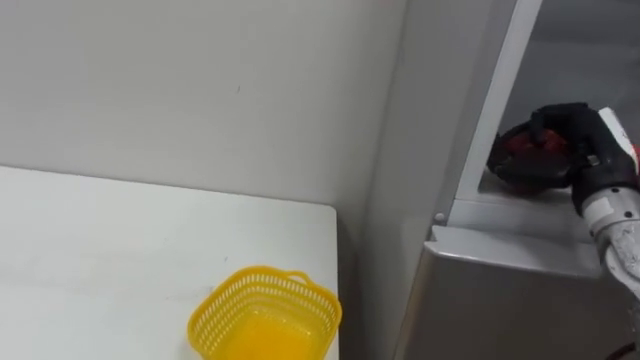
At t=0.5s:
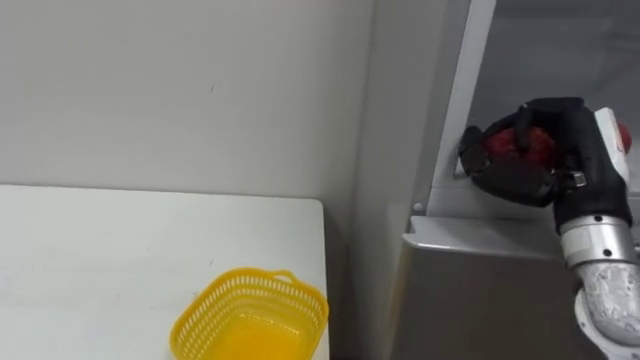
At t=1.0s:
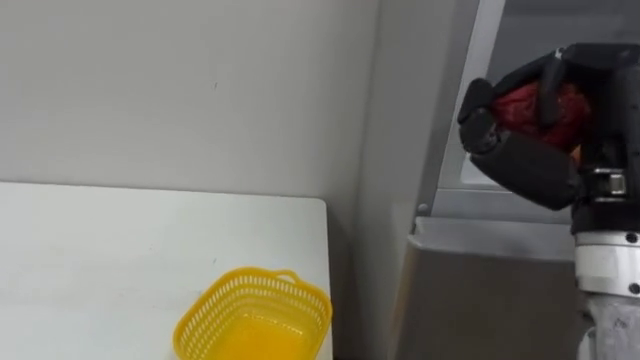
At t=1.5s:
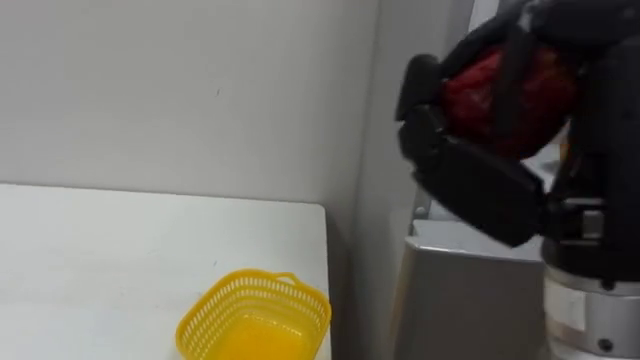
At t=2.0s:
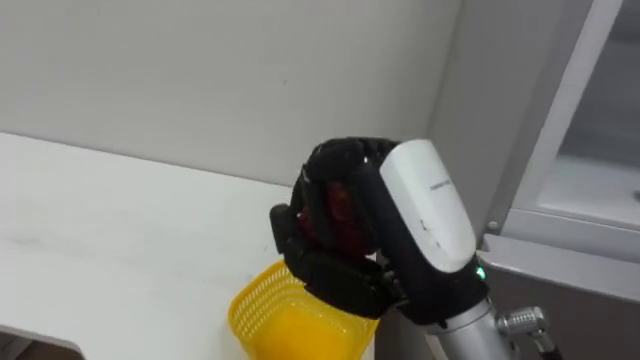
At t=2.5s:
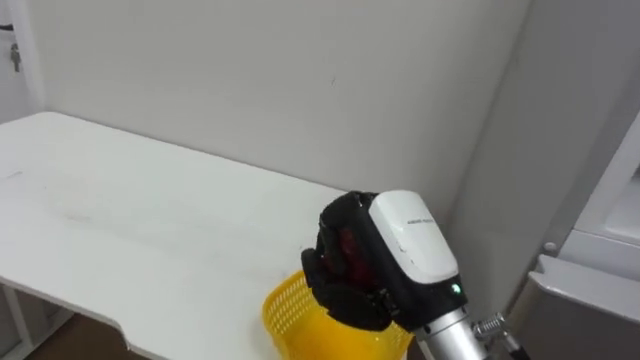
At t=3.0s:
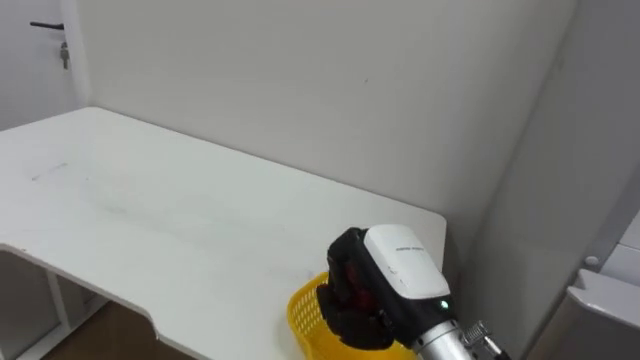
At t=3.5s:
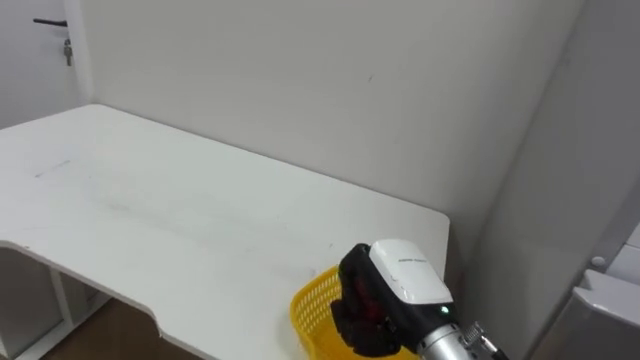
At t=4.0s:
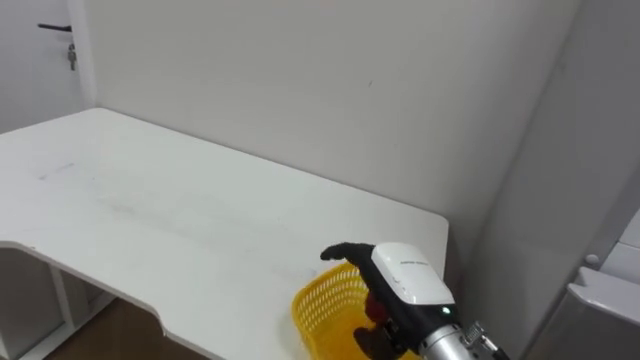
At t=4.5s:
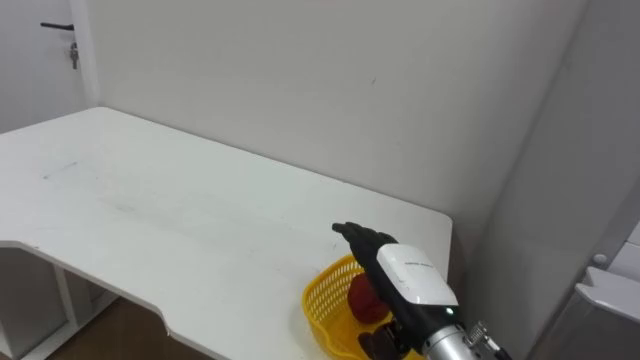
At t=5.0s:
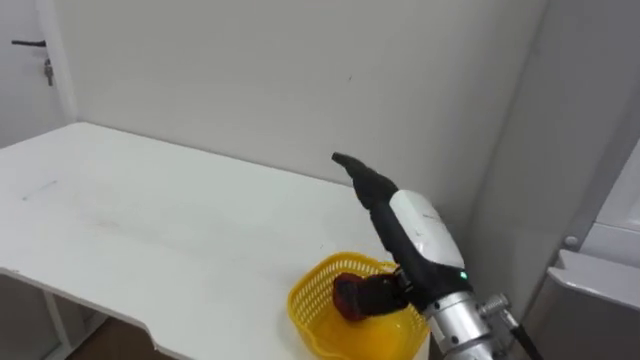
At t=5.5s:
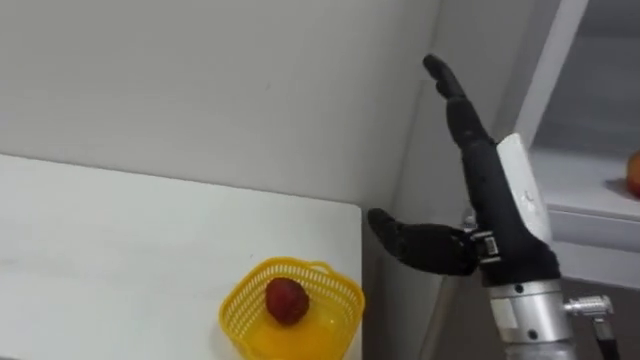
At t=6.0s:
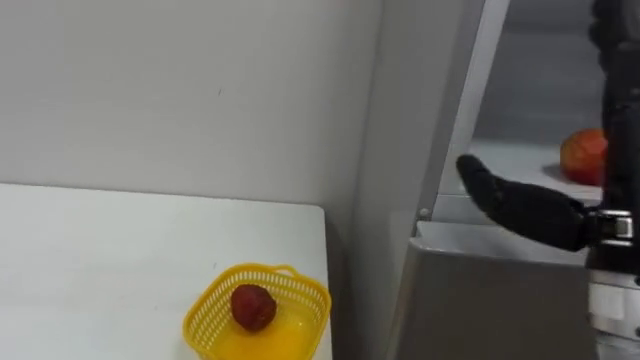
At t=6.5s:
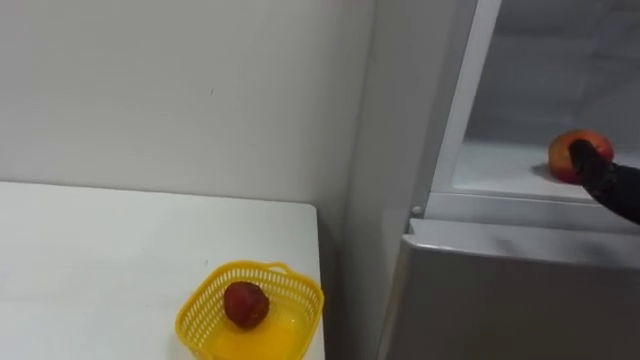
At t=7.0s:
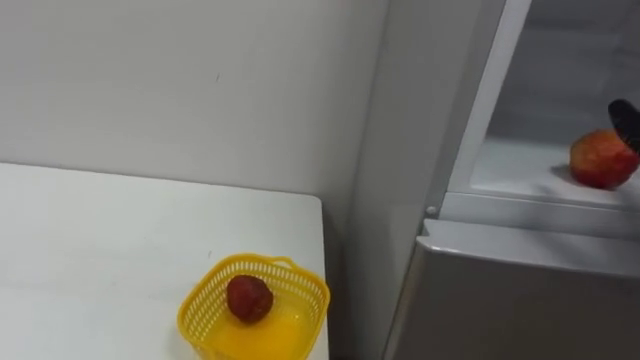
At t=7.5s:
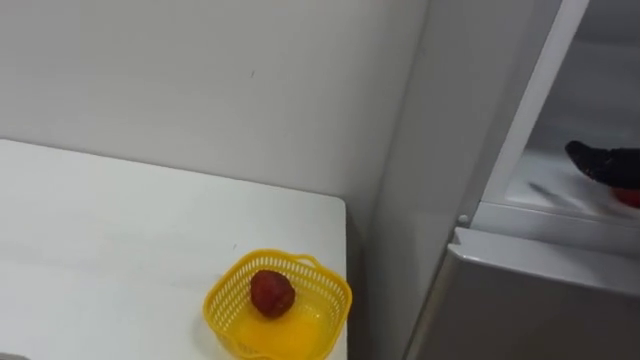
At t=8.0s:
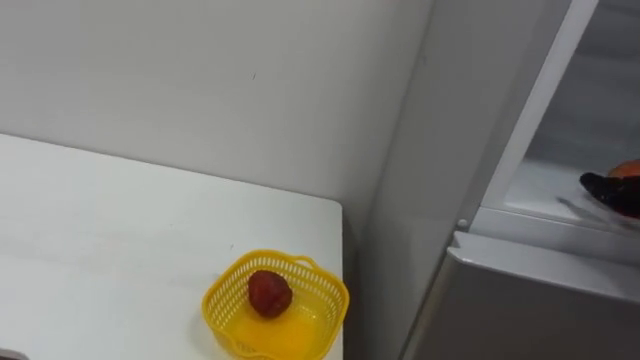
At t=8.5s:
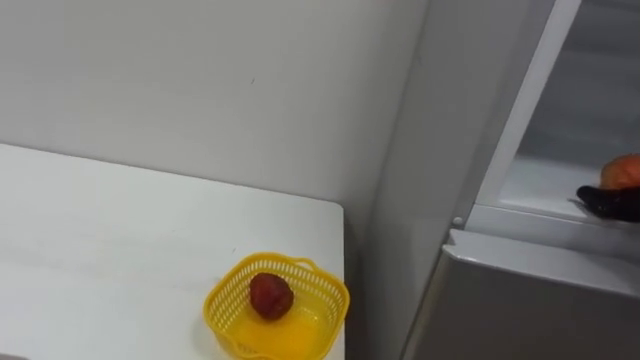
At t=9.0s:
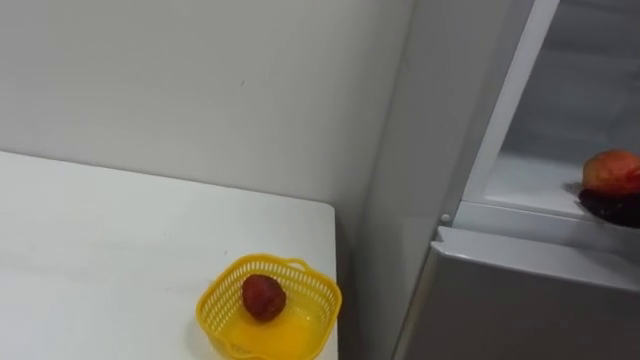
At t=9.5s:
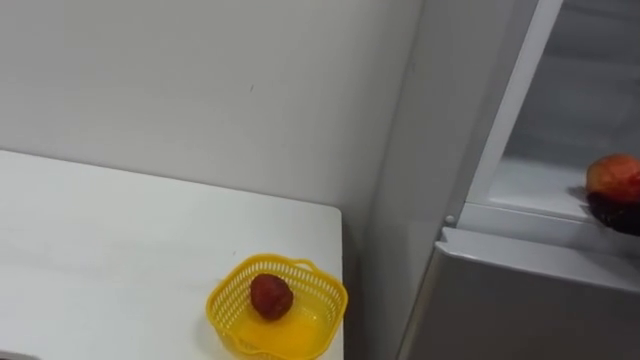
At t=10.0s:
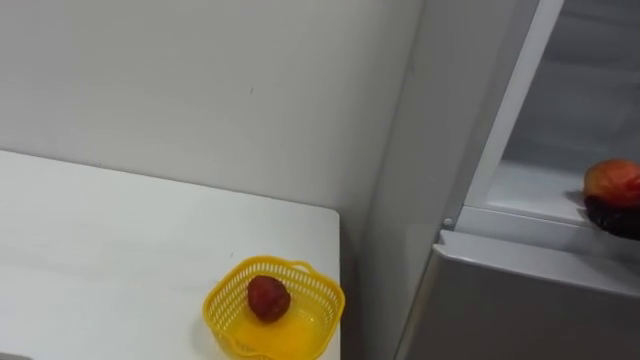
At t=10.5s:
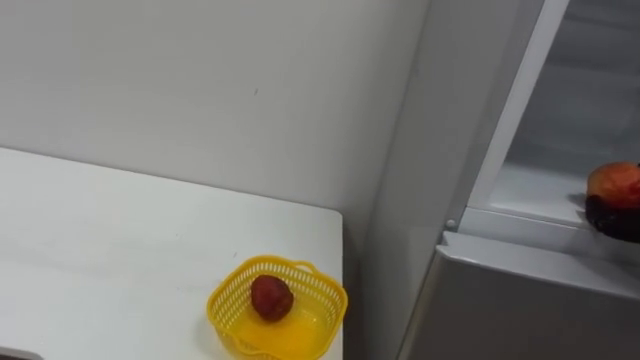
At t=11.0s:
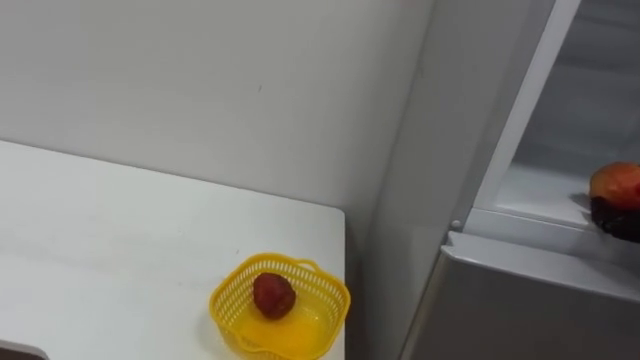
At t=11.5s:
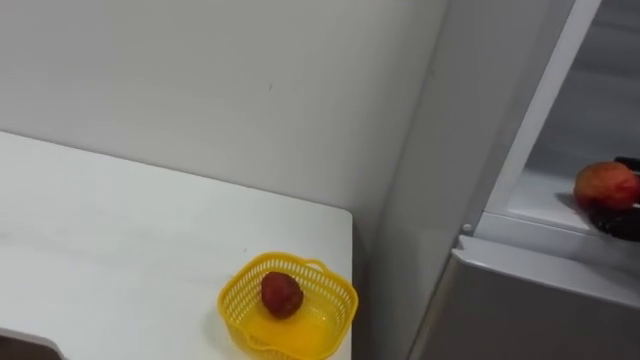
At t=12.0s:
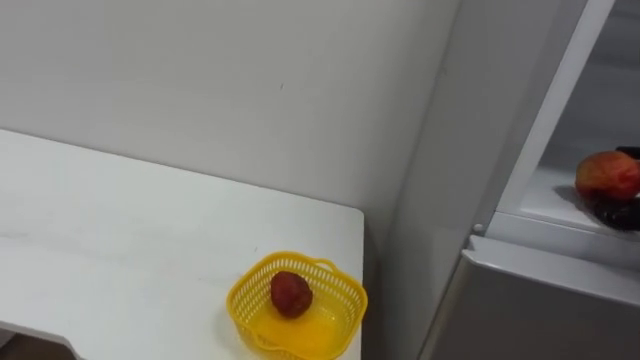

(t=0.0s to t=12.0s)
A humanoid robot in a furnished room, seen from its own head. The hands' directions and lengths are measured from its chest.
Task of the whole recording: Open the refrigerator door, take out the apple and the pomegranate, place them in the fruit basket on the left, and close the refrigerator door.
t=0.0s - t=2.0s: The right hand shifts roughly 25 cm to the left and backward.
t=2.0s - t=4.0s: The right hand travels downward and forward by roughly 20 cm, and opens its fingers.
t=4.0s - t=6.0s: The right hand is displaced upward, to the right and backward by approximately 25 cm.

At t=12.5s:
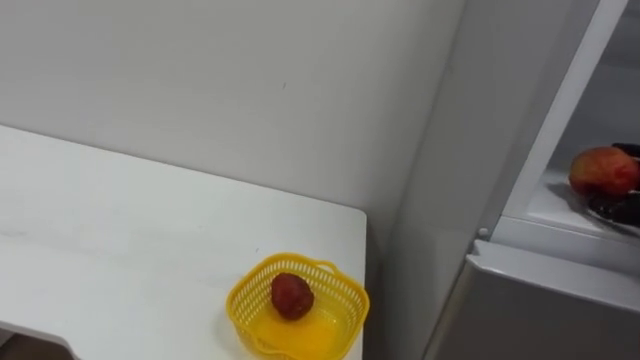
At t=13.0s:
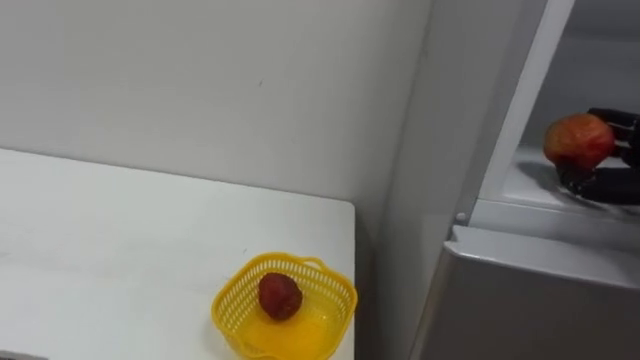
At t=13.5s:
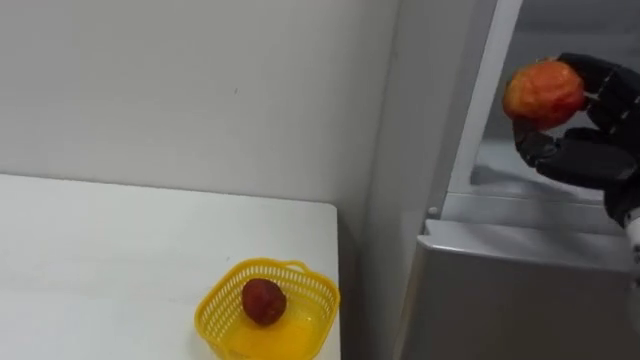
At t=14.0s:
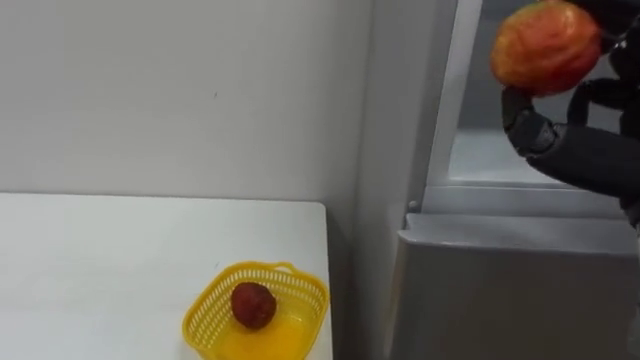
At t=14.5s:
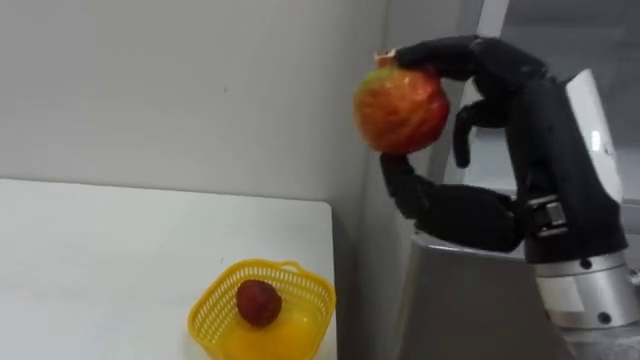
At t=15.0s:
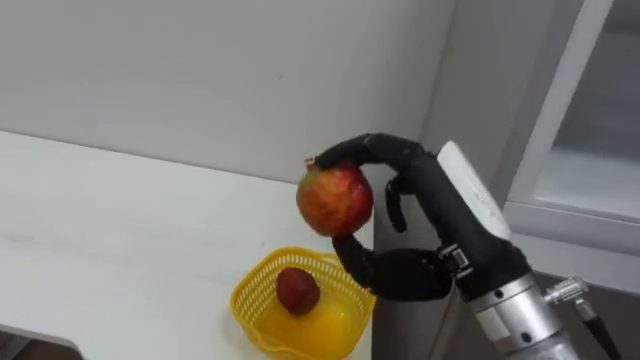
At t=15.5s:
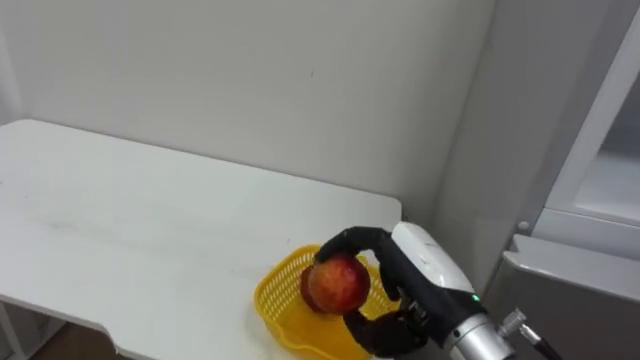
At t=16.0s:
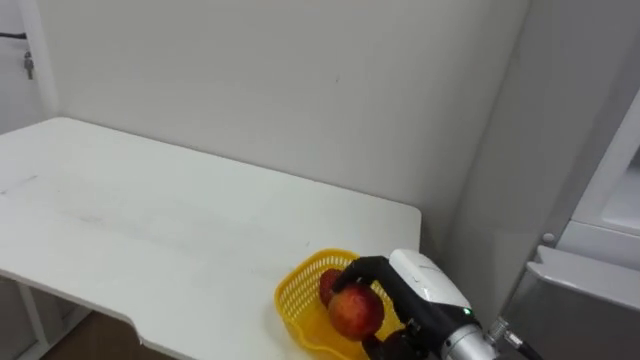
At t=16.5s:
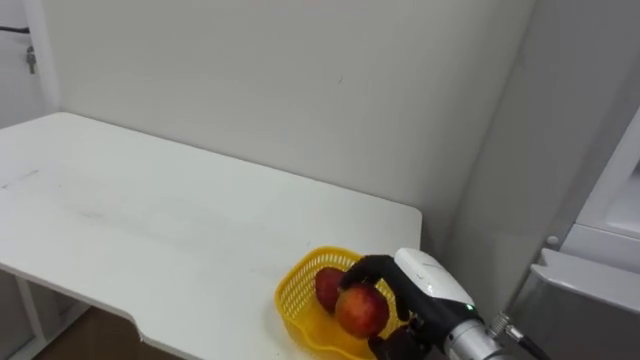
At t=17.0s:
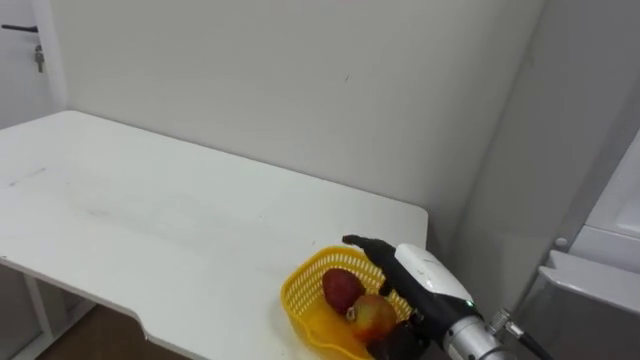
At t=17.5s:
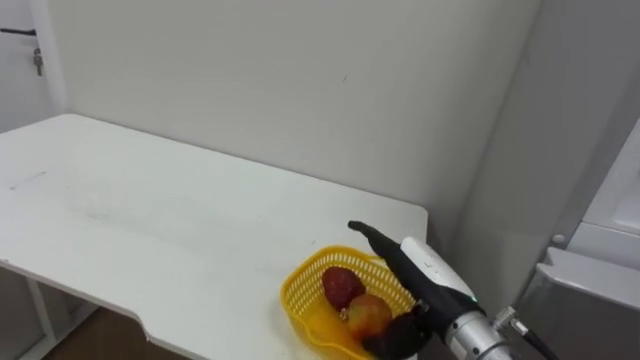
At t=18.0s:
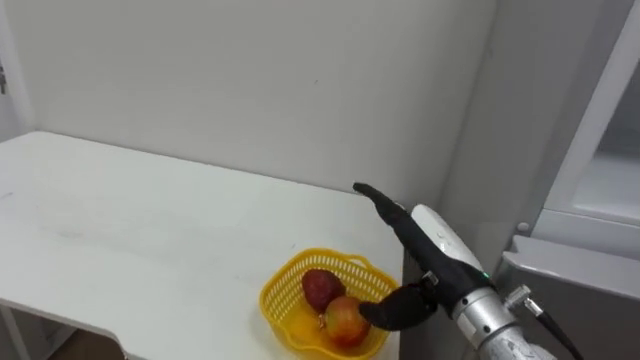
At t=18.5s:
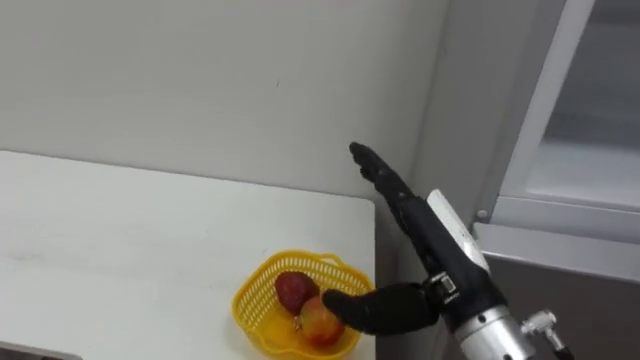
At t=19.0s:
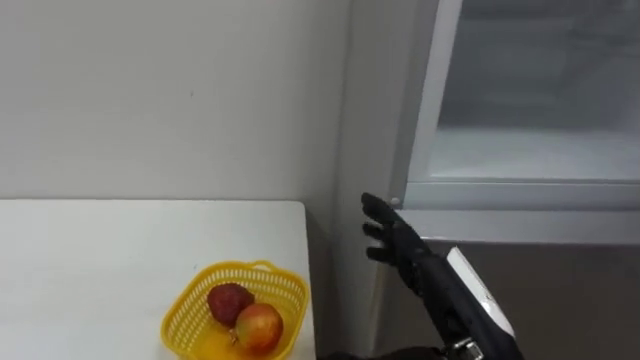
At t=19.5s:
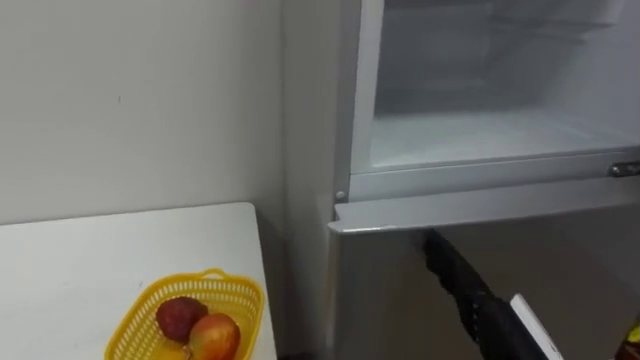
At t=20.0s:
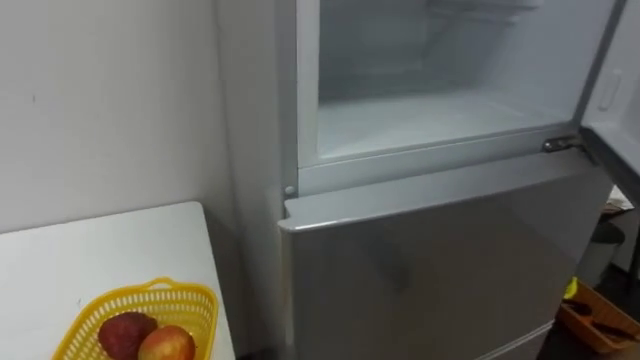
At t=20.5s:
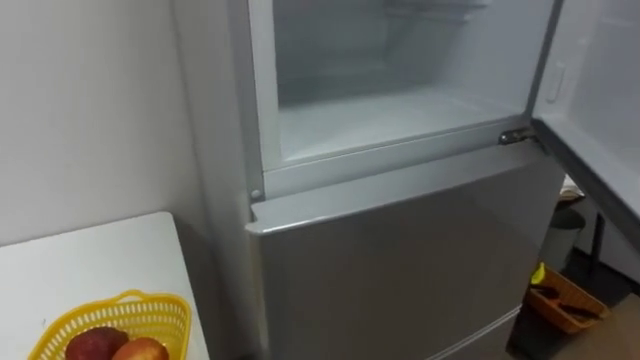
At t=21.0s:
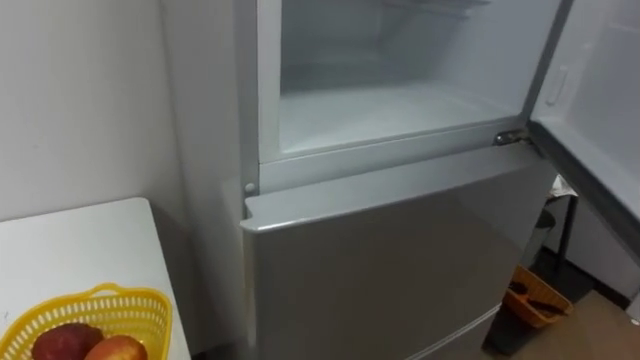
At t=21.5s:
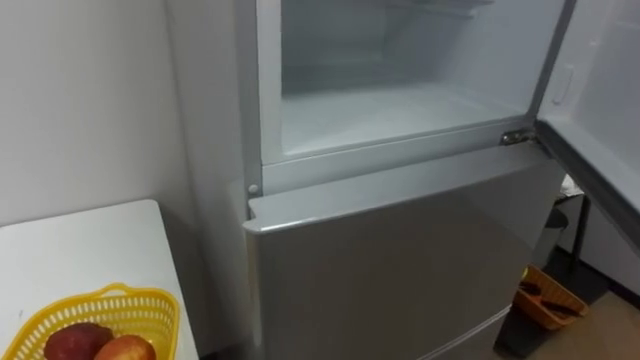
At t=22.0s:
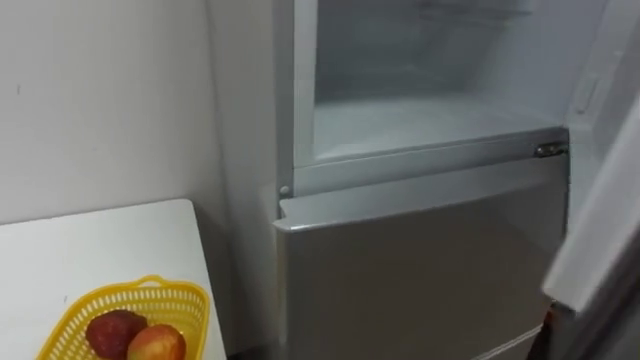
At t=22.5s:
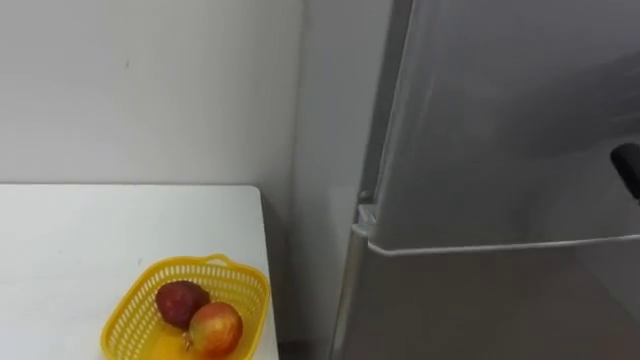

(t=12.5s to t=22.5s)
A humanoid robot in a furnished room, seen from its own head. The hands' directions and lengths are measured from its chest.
Task of the whole recording: Open the refrigerator door, take out the apple and the pomegranate, place them in the fruit basket on the left, and close the refrigerator door.
t=14.5s - t=16.5s: The right hand goes roughly 20 cm downward.
t=16.5s - t=18.5s: The right hand travels upward by some 10 cm, and opens.
